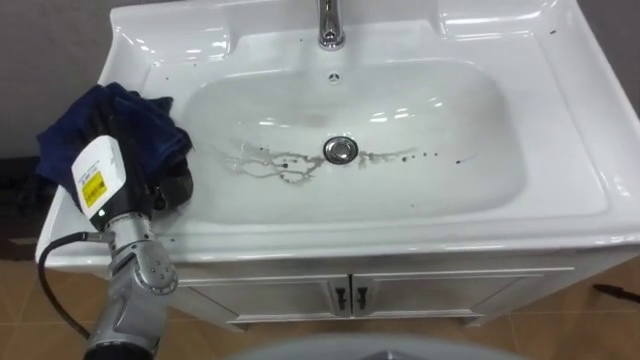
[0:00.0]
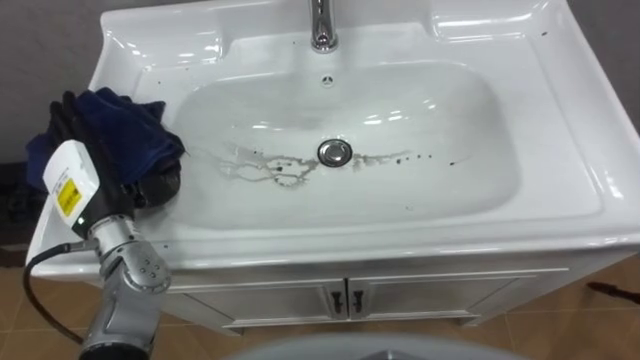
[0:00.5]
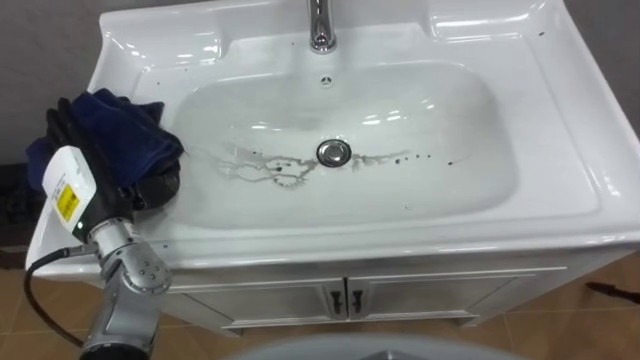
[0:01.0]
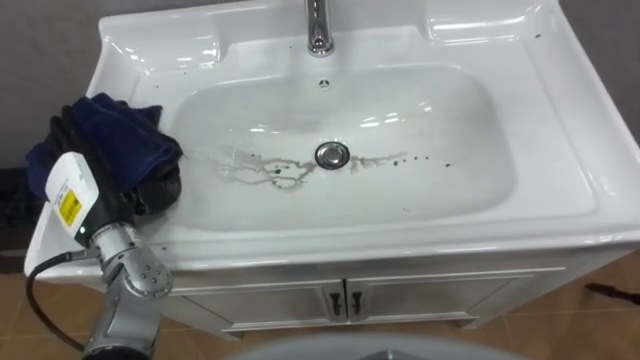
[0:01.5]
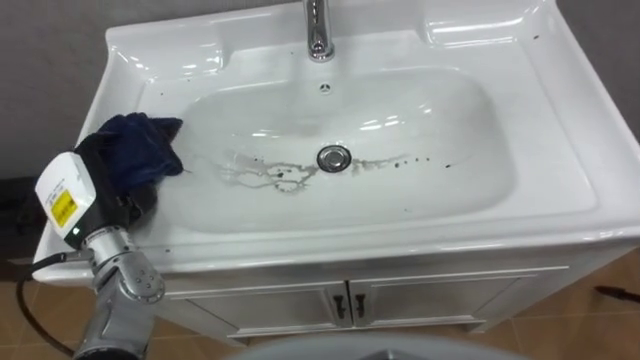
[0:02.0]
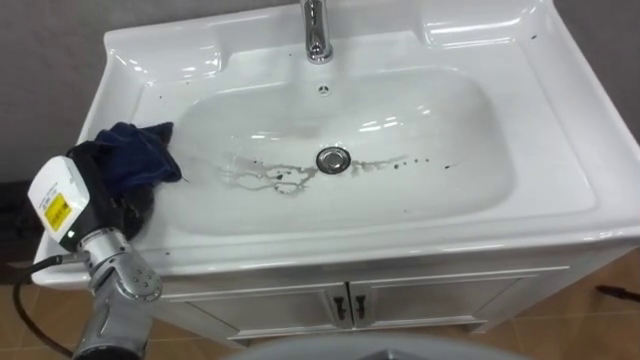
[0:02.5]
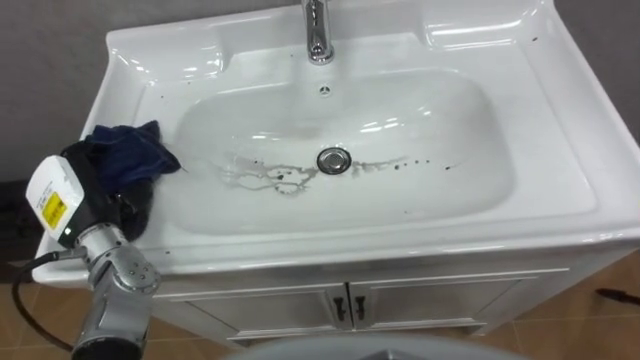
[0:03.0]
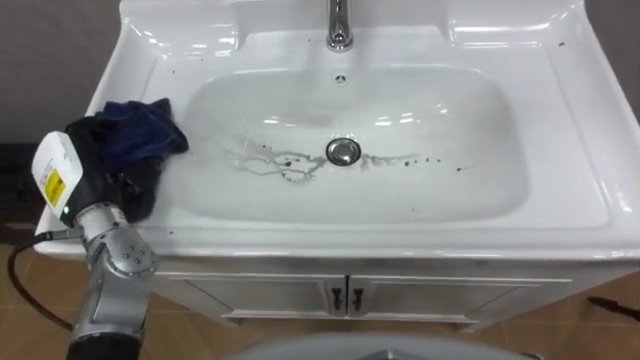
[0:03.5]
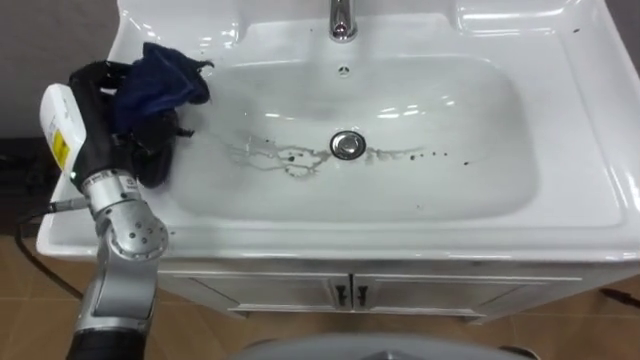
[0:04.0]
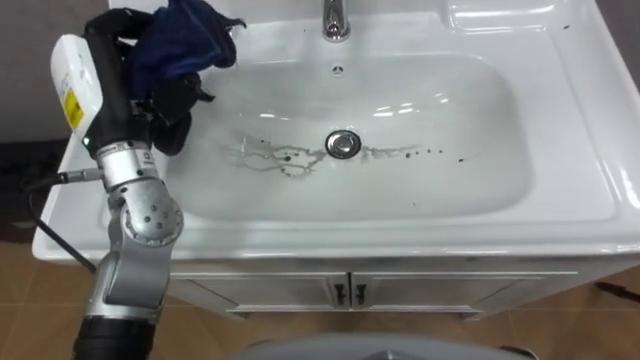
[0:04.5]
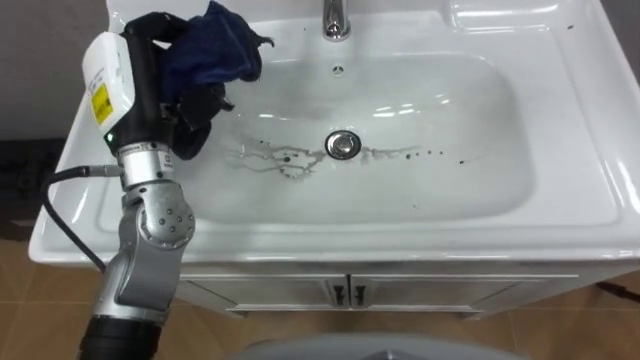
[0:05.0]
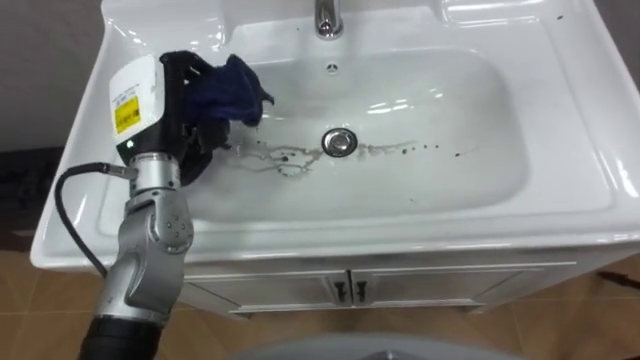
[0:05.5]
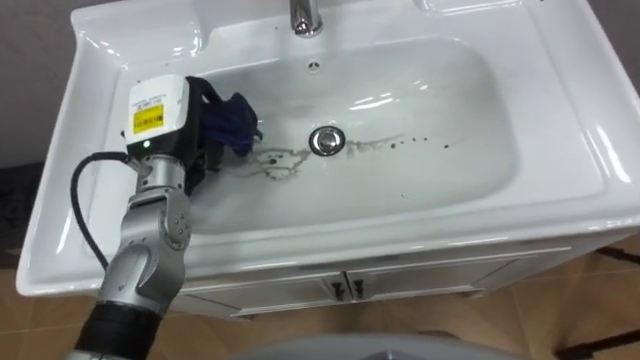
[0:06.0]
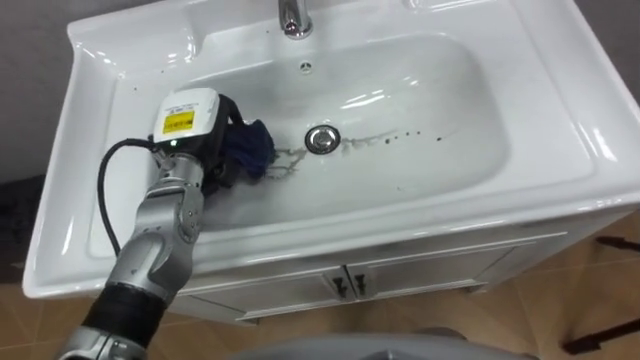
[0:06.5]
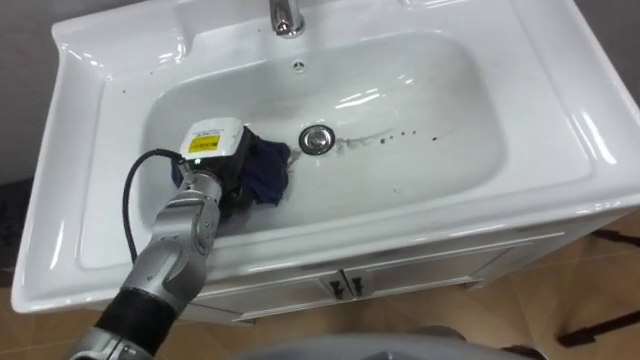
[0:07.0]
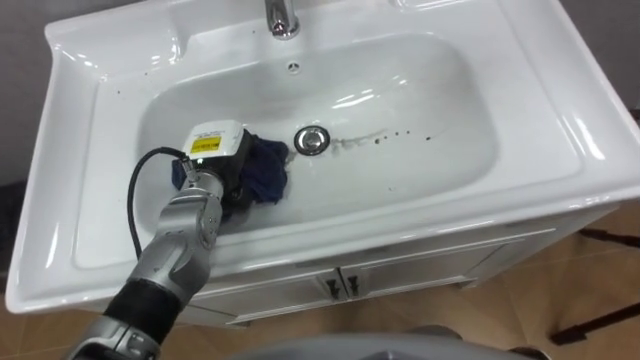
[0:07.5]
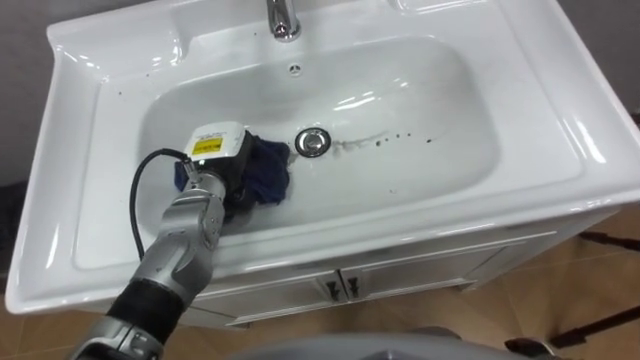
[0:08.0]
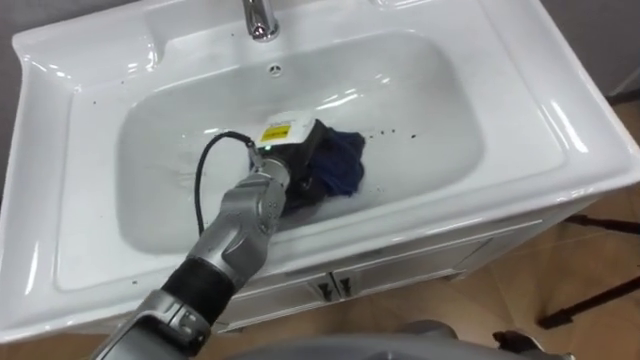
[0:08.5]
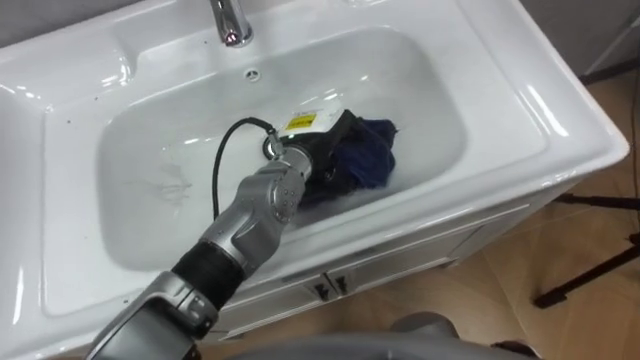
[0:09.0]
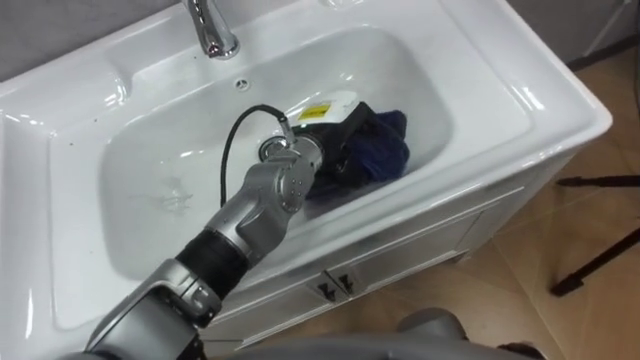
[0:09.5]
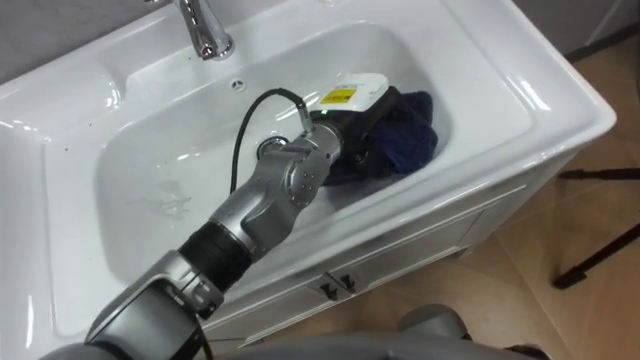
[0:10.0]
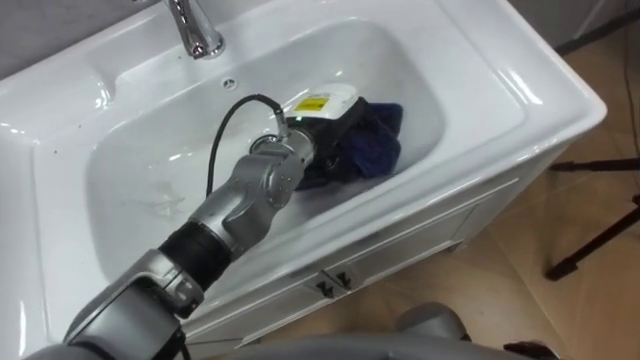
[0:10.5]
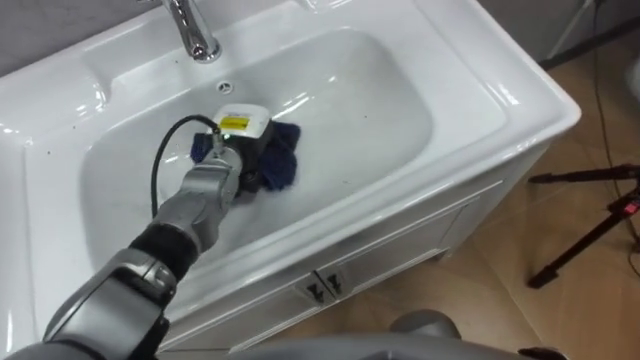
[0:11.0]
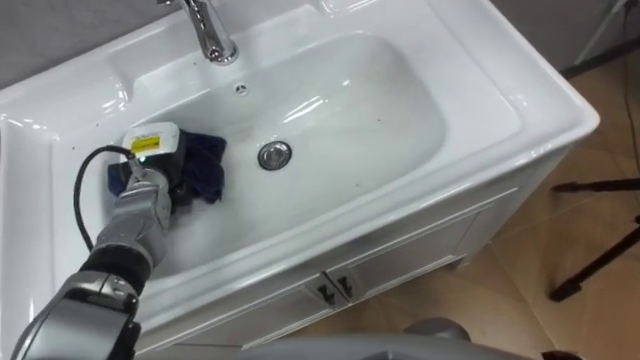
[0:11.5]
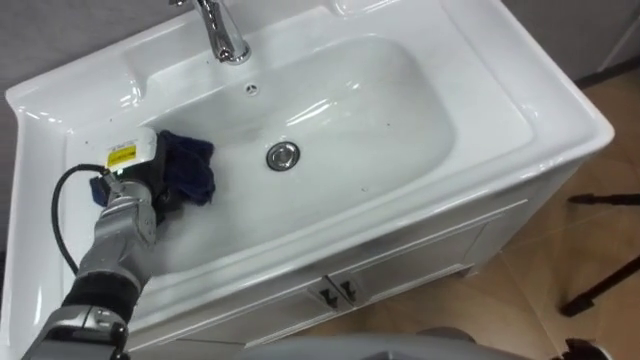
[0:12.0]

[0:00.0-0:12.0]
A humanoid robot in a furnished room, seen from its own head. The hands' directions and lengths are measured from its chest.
Task of the whole recording: Use the cloth on the right to wipe away the black stain in the sink.
0:00.0 to 0:02.0: The left hand closes its fingers.
0:02.0 to 0:04.0: The left hand is displaced upward by roughly 10 cm.
0:04.0 to 0:06.0: The left hand is displaced to the right by roughly 5 cm.
0:06.0 to 0:08.0: The left hand travels downward by approximately 10 cm.
0:08.0 to 0:10.0: The left hand goes some 20 cm to the right and upward.
0:10.0 to 0:12.0: The left hand moves to the left, roughly 30 cm.

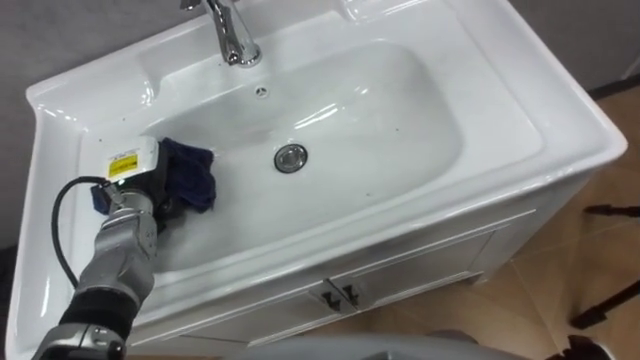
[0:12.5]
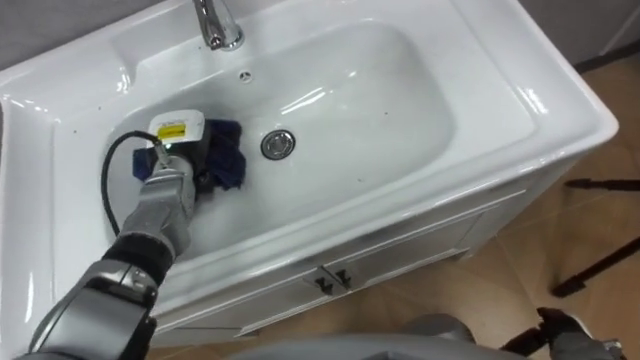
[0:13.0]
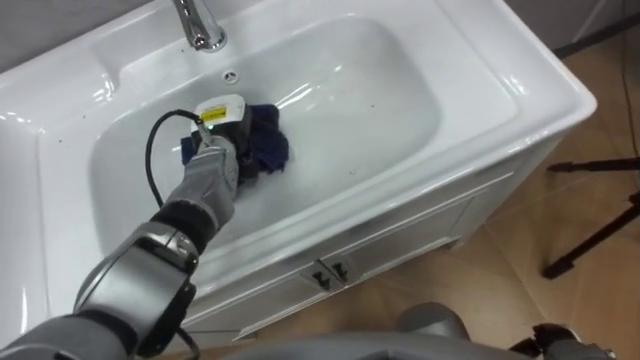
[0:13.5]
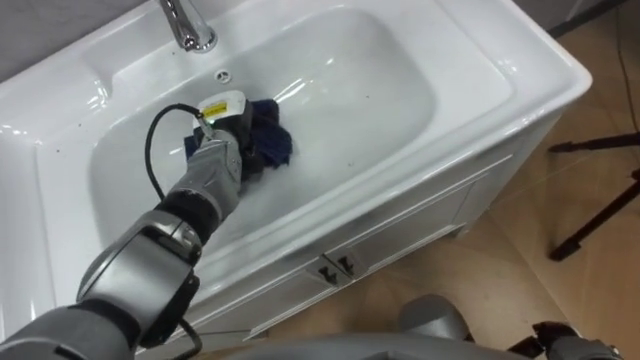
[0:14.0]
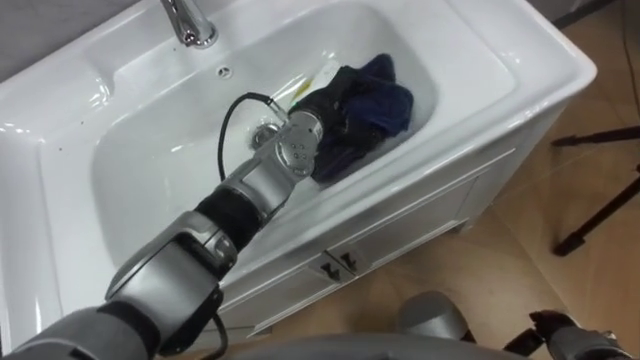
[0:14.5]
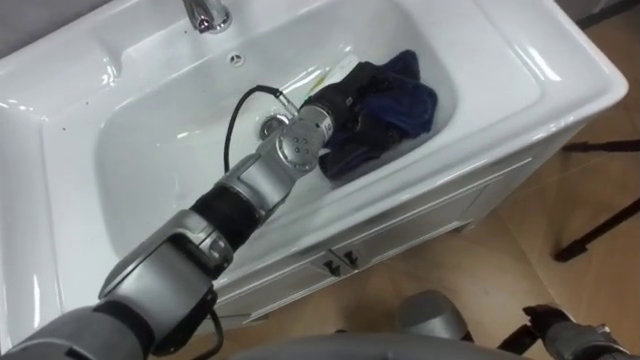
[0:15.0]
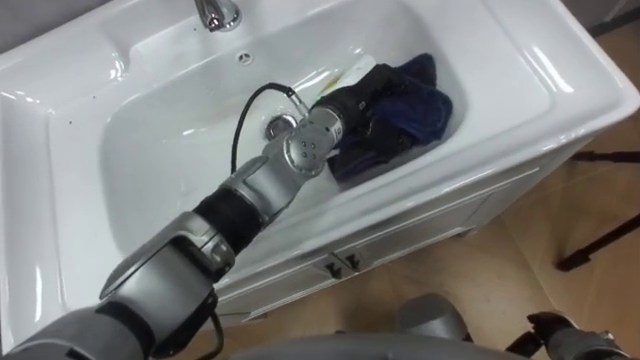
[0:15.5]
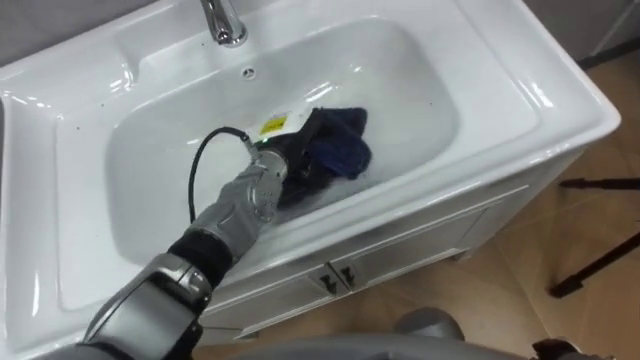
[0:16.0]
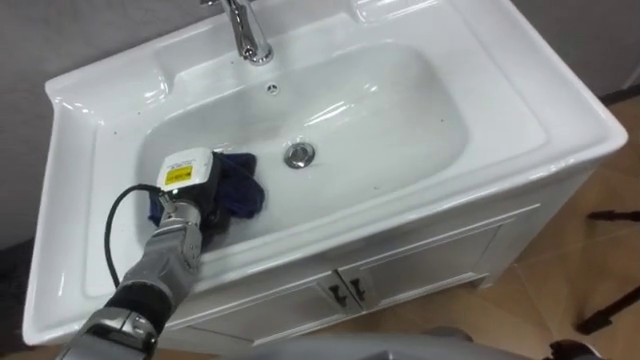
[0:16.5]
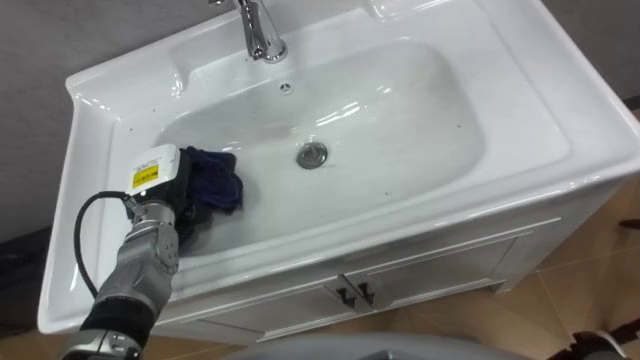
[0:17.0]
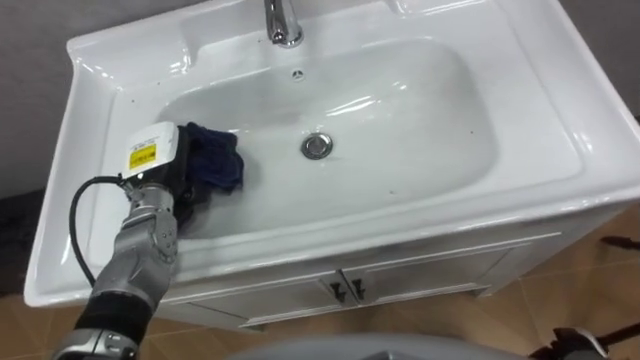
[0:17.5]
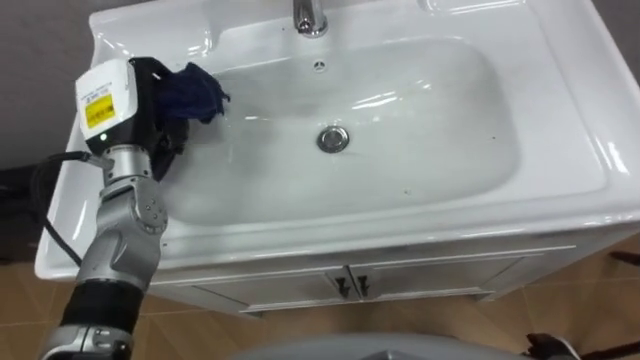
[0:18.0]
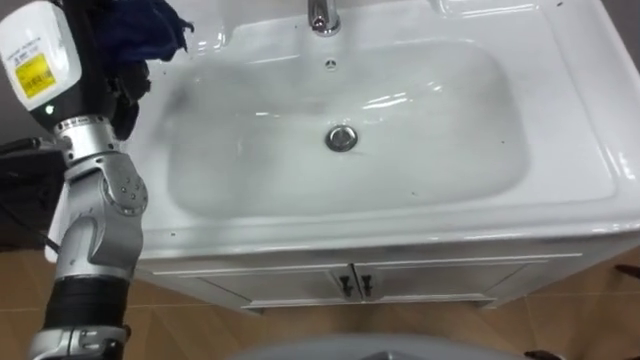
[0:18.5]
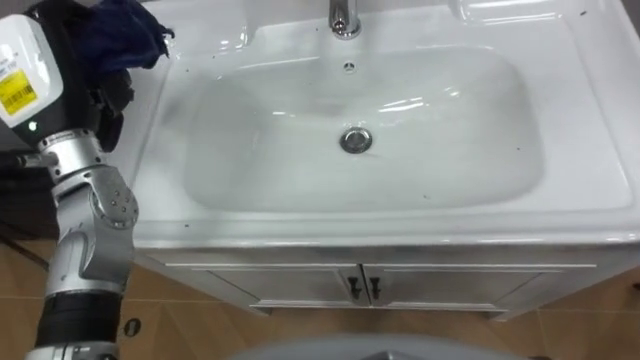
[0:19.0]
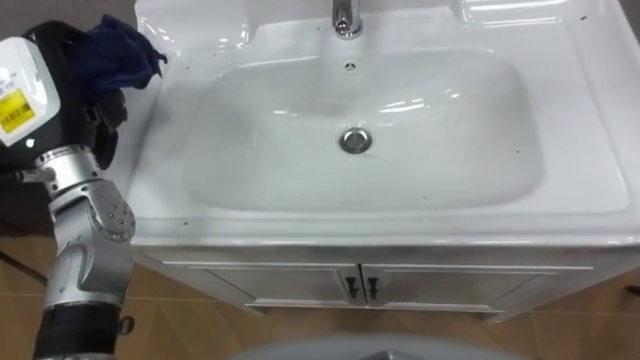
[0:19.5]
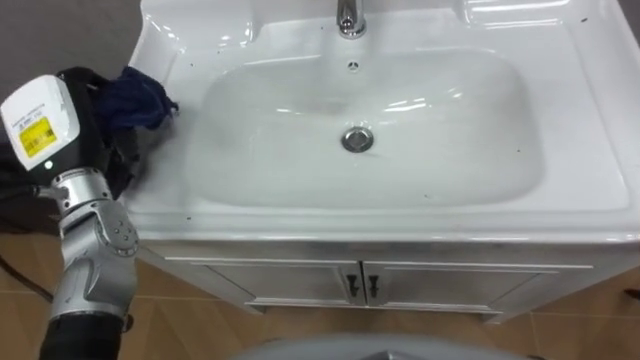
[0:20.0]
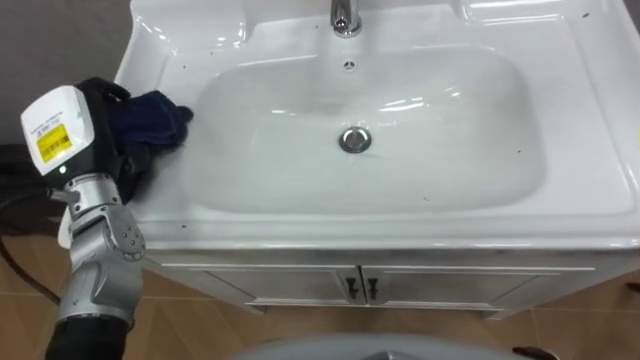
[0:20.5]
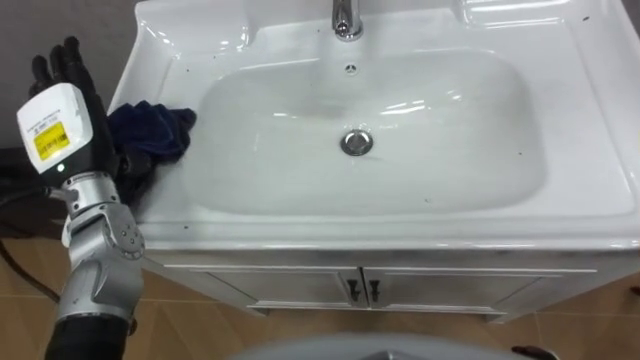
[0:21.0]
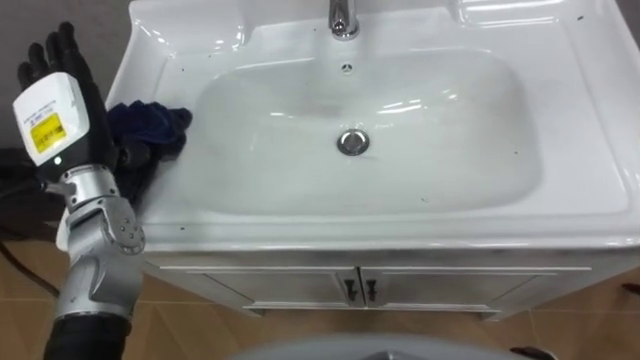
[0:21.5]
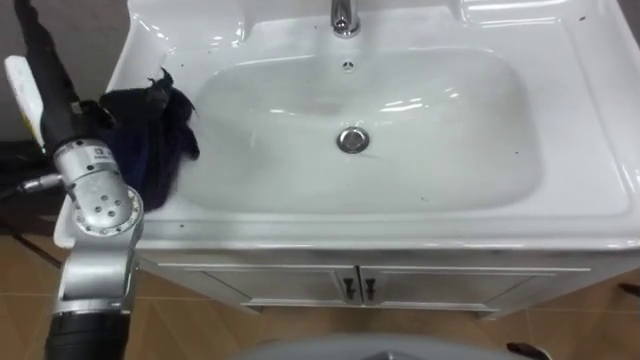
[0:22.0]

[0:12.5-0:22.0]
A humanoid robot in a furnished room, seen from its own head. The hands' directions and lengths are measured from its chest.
Task of the whole recording: Use the cloth on the right to wipe away the black stain in the sink.
0:12.5 to 0:14.5: The left hand goes roughly 25 cm to the right.
0:14.5 to 0:16.5: The left hand shifts roughly 25 cm to the left, downward and backward.
0:16.5 to 0:18.0: The left hand goes approximately 15 cm upward.
0:18.0 to 0:20.0: The left hand shifts roughly 5 cm to the left, and moves roughly 10 cm upward and comes back.
0:20.0 to 0:22.0: The left hand opens its fingers.
